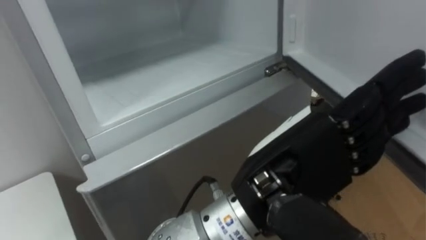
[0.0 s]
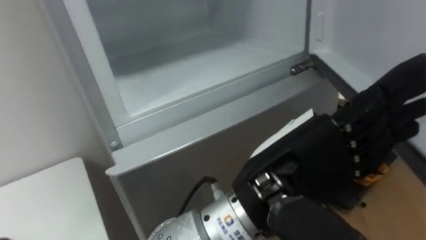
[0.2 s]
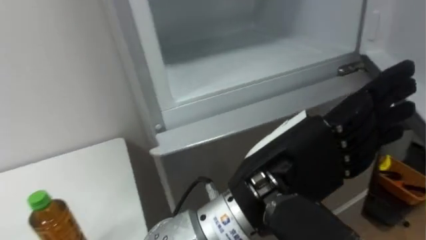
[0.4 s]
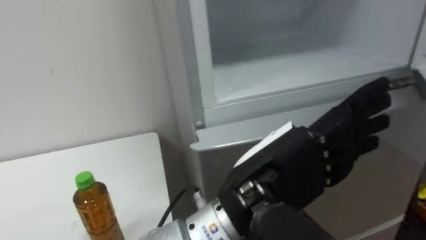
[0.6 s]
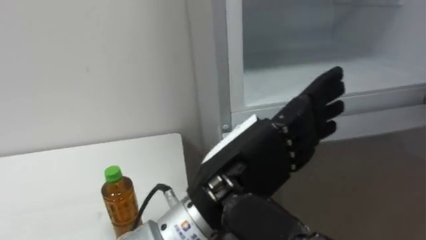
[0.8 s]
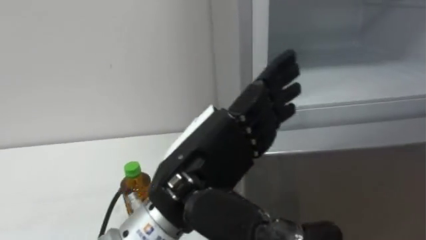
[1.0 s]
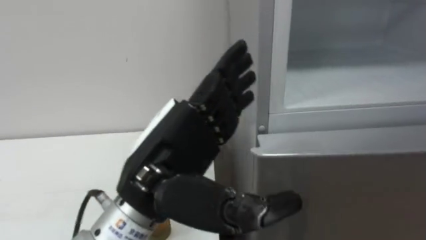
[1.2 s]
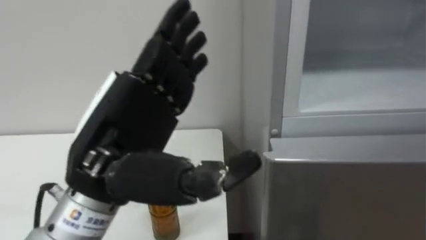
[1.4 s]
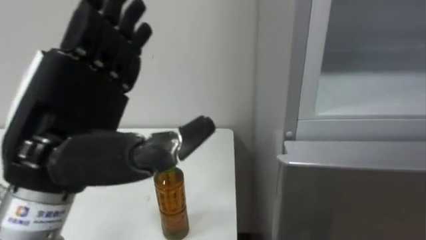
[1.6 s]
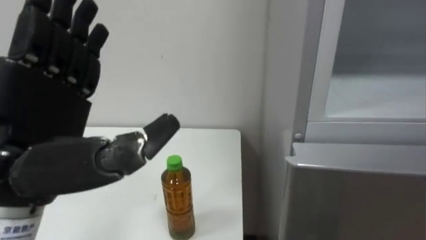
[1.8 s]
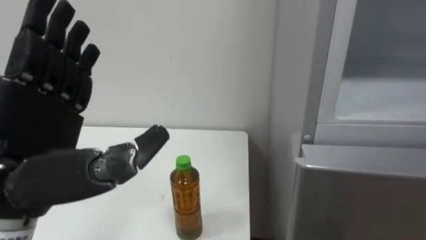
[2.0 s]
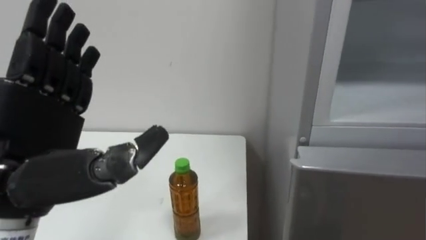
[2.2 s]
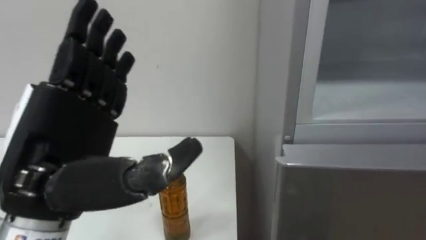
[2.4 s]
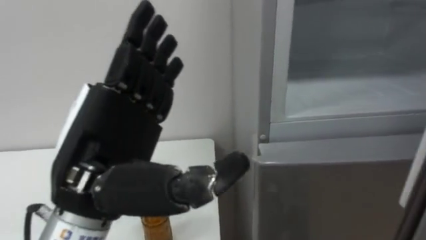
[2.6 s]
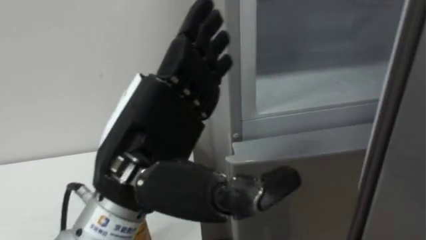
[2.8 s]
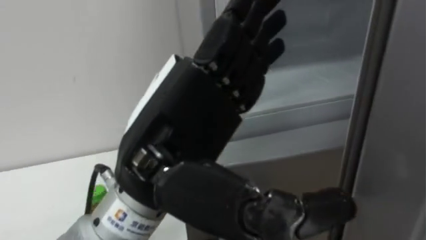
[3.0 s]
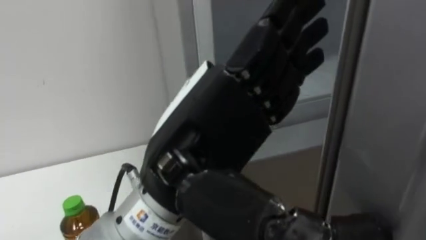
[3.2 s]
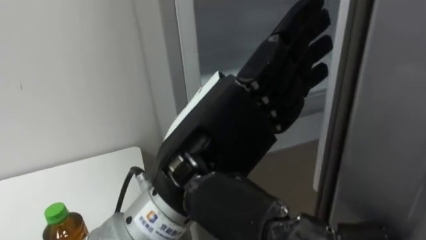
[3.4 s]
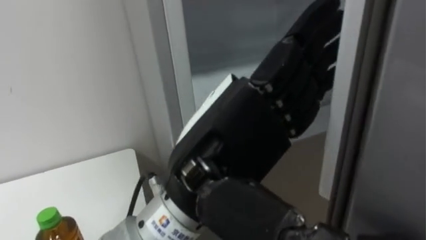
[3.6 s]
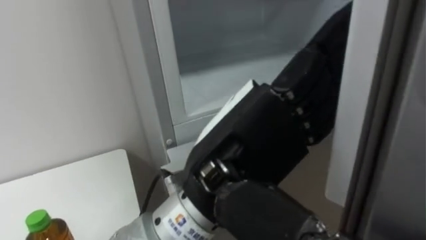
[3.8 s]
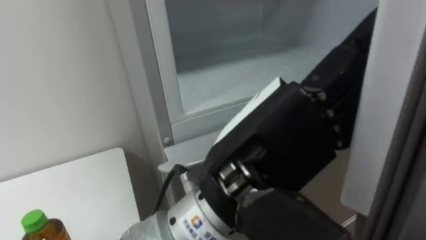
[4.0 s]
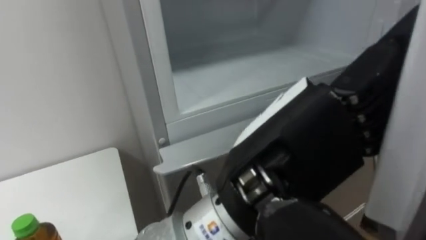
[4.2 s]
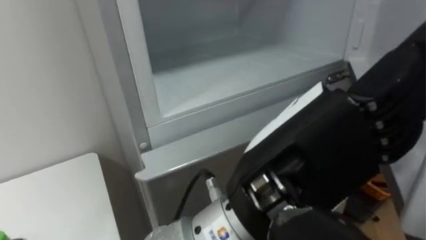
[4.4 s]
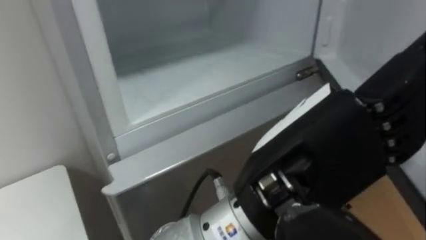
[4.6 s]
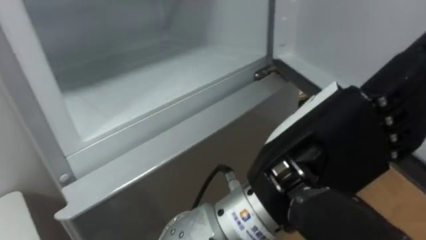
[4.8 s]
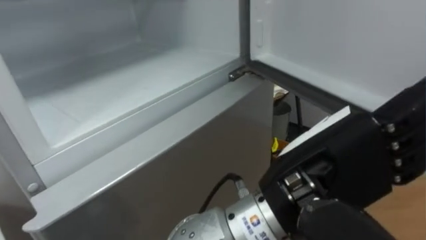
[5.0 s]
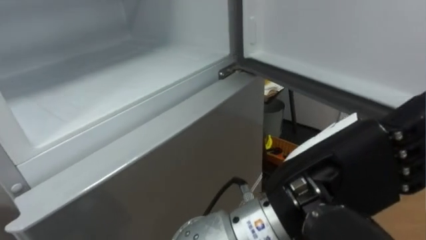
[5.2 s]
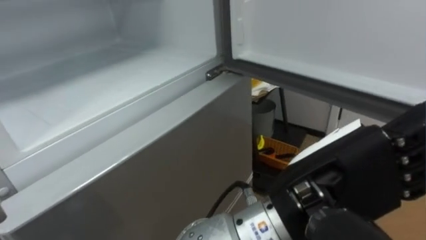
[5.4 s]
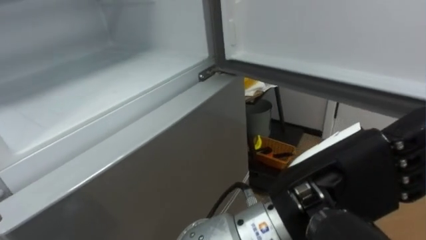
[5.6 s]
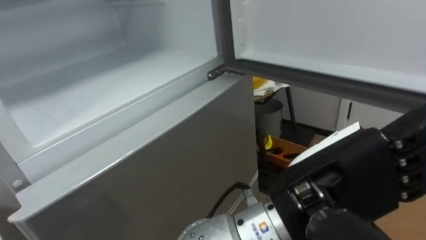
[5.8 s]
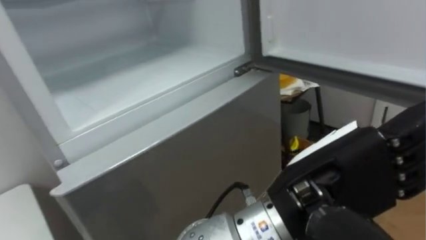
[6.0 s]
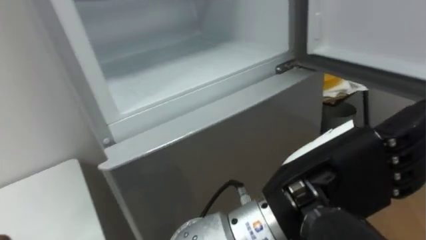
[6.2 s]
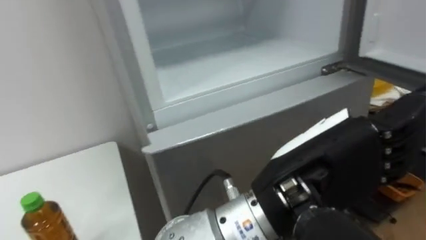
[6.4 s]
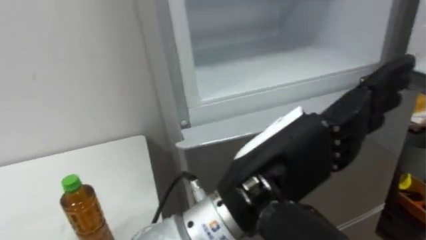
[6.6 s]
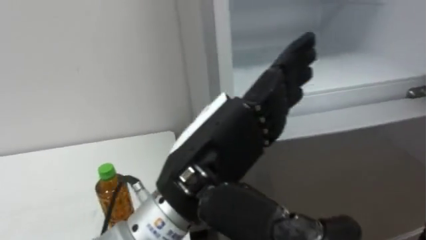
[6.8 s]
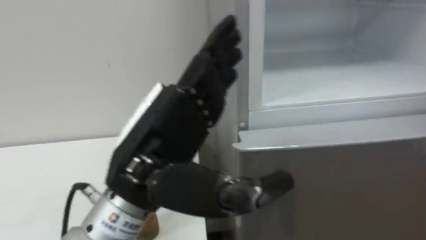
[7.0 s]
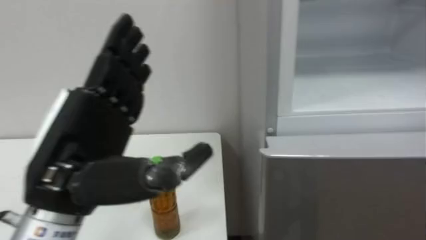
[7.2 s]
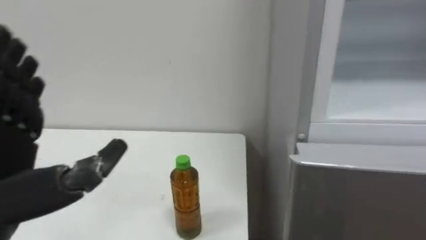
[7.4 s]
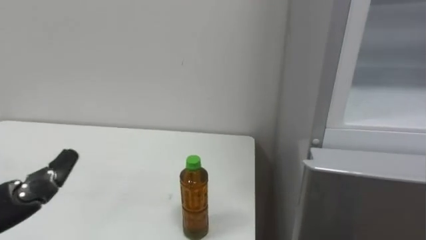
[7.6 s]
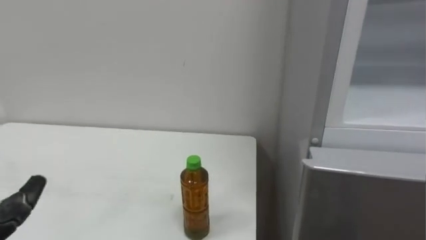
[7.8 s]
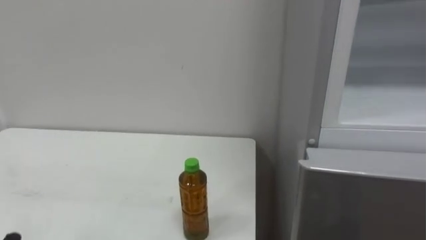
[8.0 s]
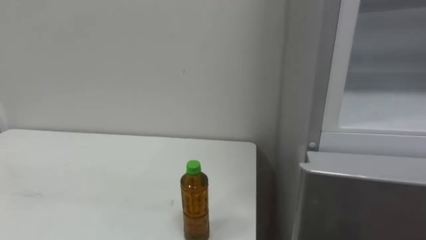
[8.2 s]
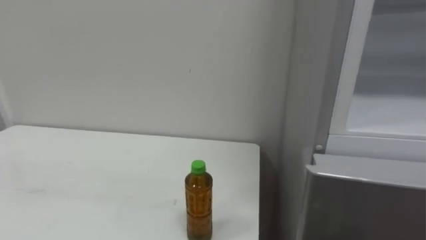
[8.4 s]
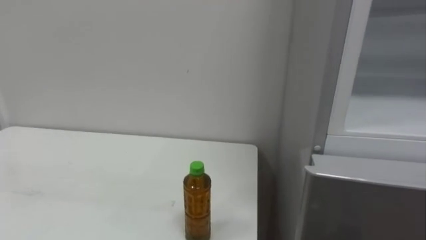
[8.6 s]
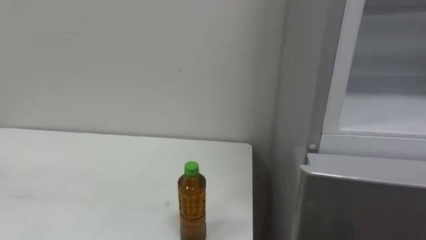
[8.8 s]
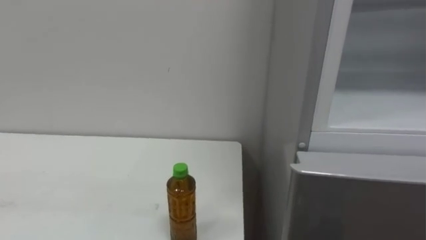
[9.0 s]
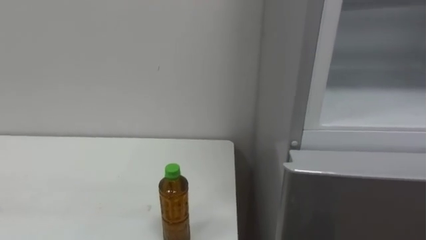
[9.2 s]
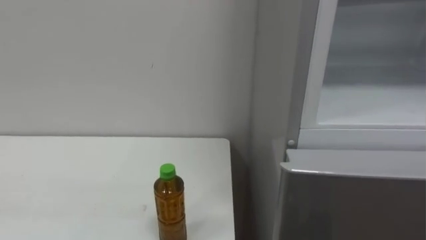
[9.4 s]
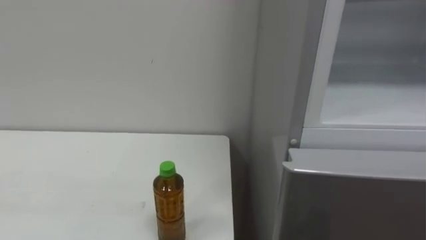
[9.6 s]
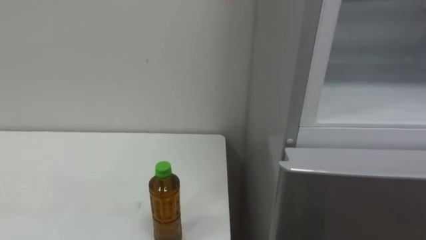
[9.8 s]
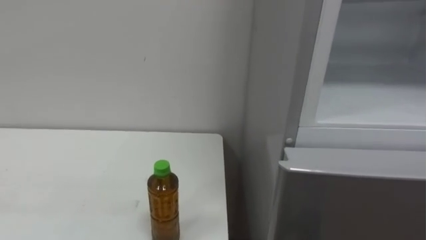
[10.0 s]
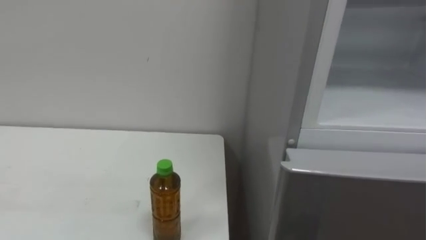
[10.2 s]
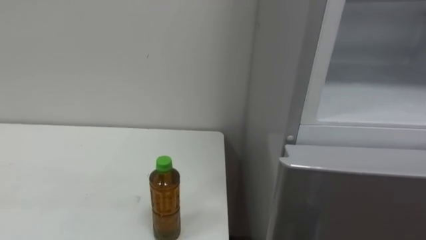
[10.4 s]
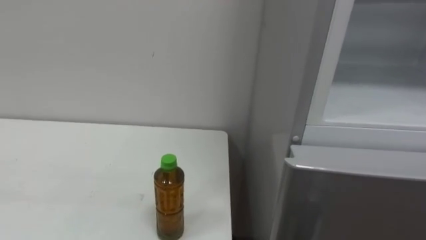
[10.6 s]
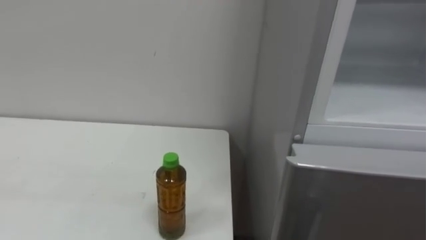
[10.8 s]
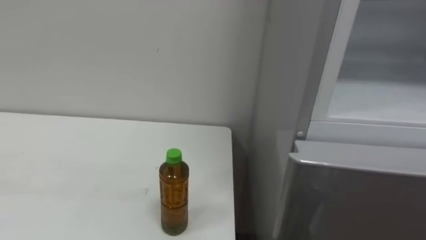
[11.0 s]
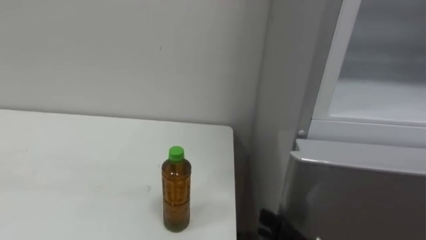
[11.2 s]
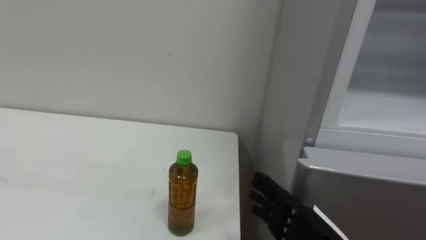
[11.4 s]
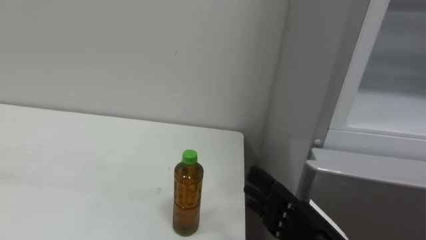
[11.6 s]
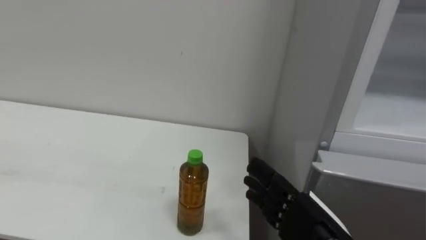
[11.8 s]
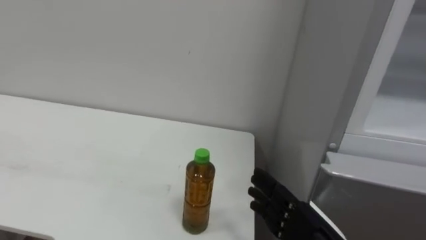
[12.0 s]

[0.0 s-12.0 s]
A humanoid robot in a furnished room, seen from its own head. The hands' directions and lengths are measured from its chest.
Task of the whole recording: Open the upper refrigerator door, put the drink from the table into the refrigerator, and then close the refrigerator door.
0.0 to 1.6 s: The left hand goes approximately 20 cm to the left.
1.6 to 3.0 s: The left hand moves to the right, about 10 cm.
3.0 to 4.4 s: The left hand travels to the right by approximately 10 cm.
4.4 to 6.0 s: The left hand shifts by some 5 cm.

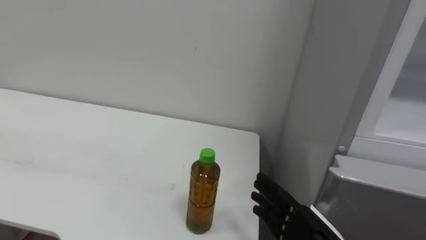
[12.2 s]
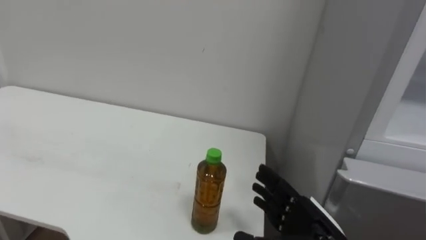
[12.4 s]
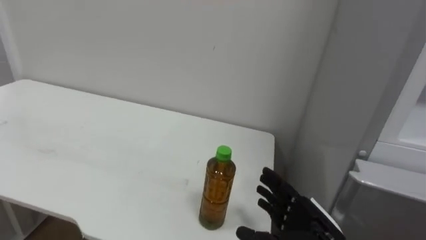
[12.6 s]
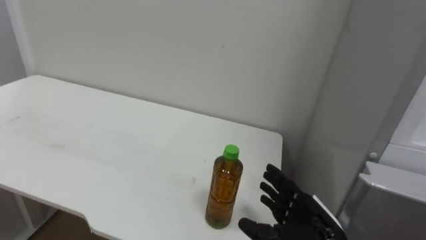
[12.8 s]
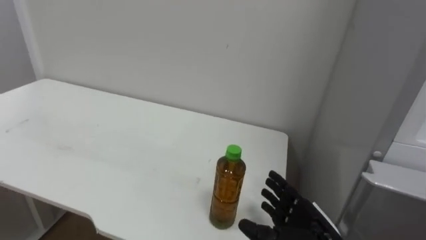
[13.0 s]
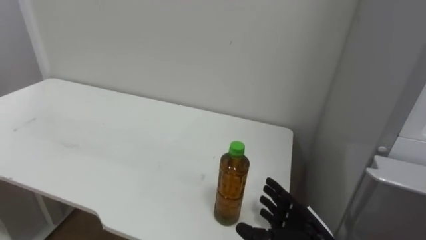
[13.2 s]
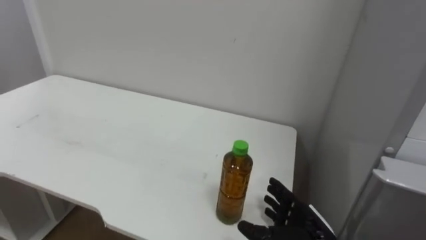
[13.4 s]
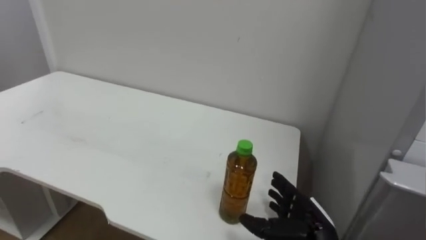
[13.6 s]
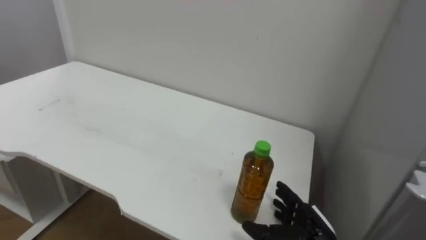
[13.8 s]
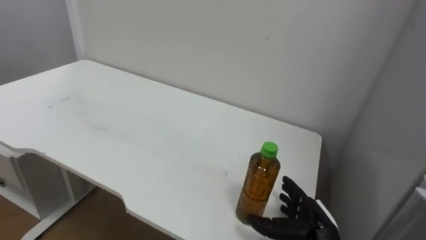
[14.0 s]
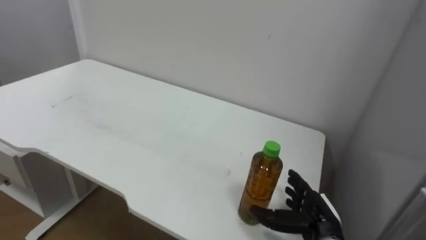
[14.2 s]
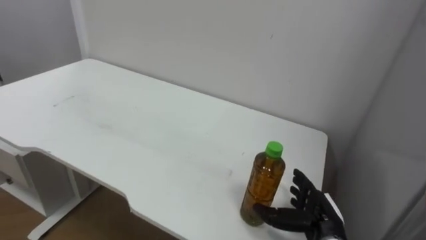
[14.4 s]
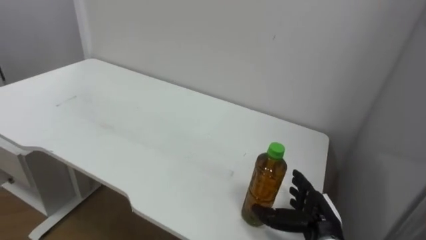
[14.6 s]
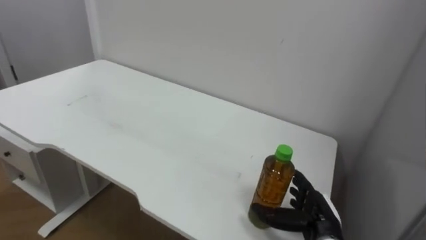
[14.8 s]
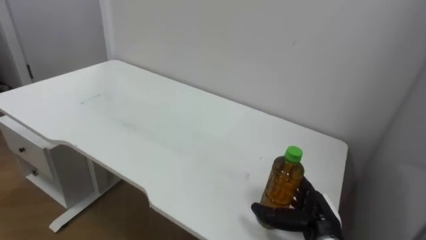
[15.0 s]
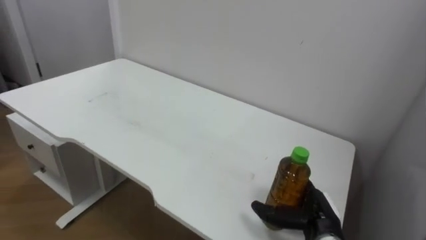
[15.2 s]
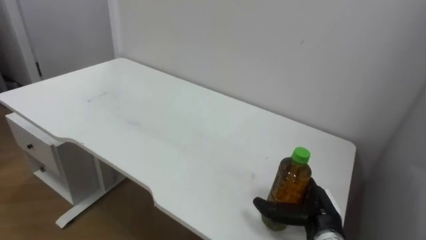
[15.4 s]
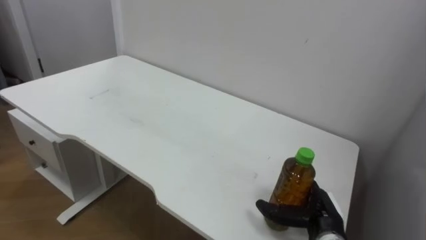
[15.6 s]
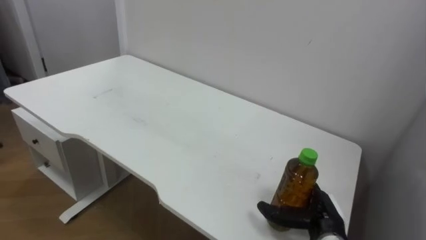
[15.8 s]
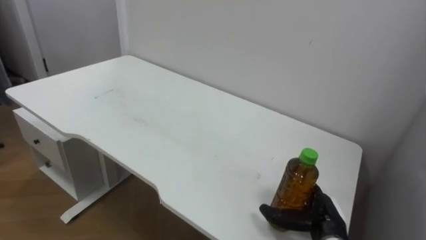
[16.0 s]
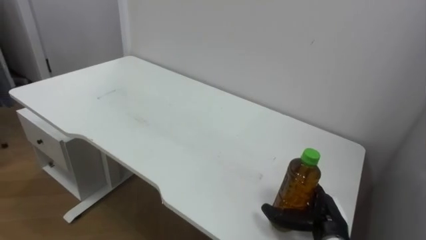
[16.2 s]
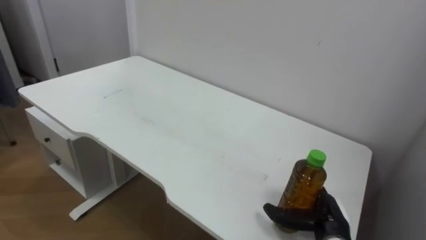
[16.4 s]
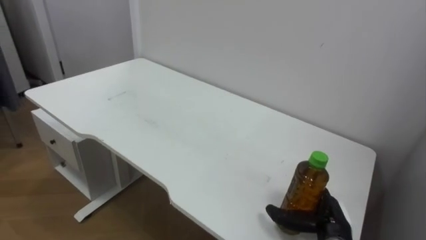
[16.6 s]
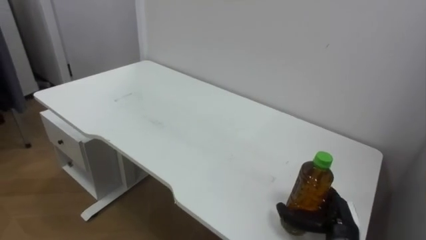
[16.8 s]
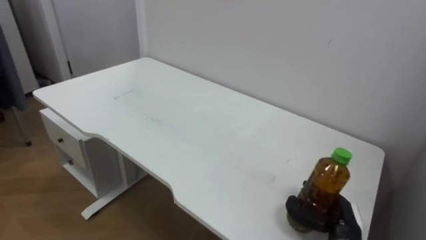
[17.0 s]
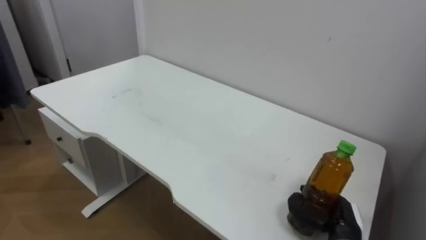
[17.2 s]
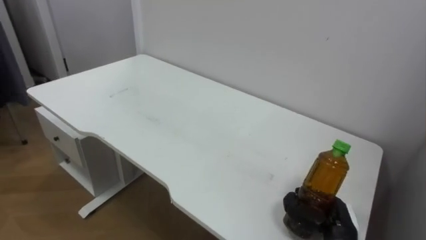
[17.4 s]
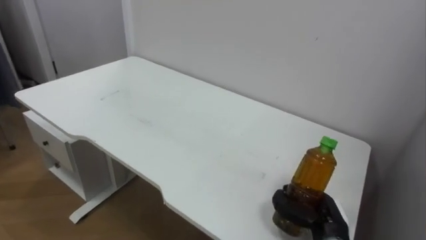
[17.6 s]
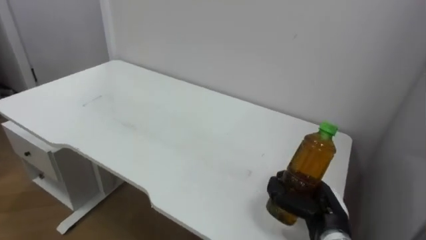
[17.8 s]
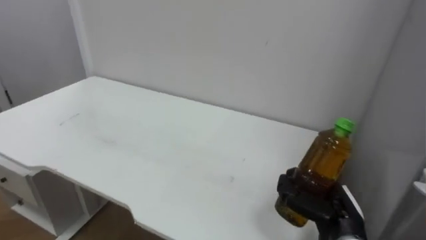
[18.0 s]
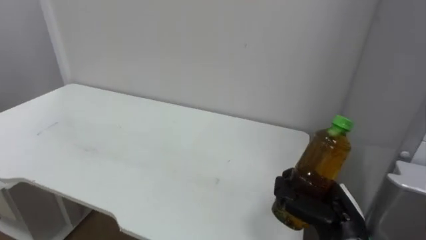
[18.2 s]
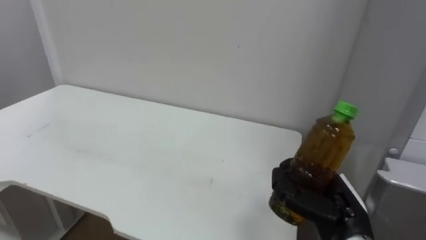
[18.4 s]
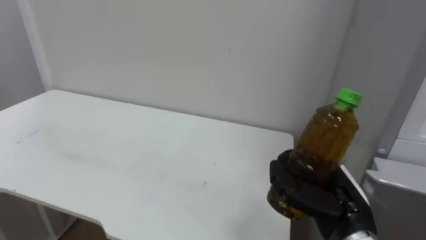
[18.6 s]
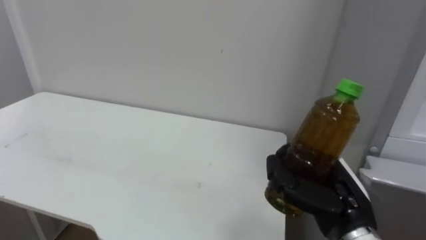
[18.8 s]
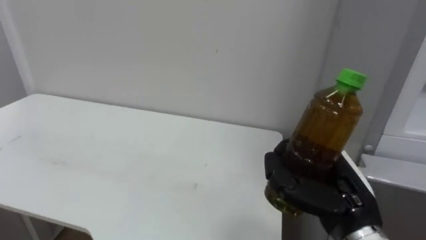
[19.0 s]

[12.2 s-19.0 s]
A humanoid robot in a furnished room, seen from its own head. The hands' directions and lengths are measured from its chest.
Task of the whole recording: Open the upper refrigerator door, put the drink from the table into the refrigerator, and then close the refrigerator door.
12.2 to 13.6 s: The right hand heads forward, covering approximately 5 cm.
16.2 to 17.6 s: The right hand closes its fingers.
17.6 to 19.0 s: The right hand goes about 15 cm upward.
